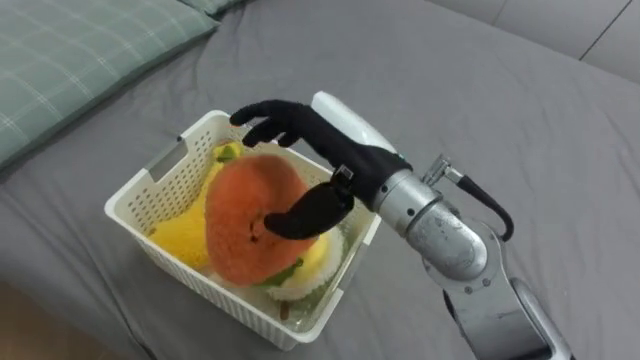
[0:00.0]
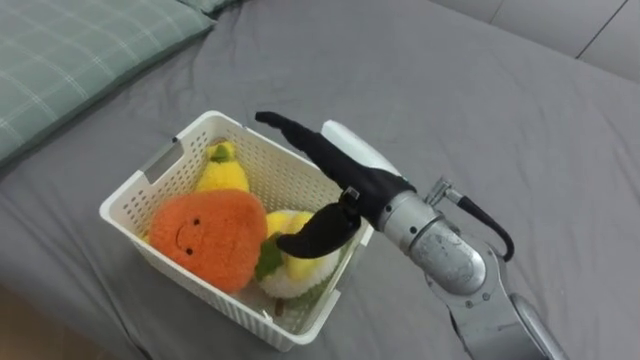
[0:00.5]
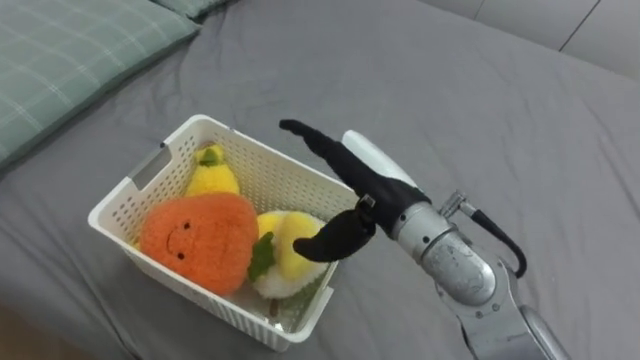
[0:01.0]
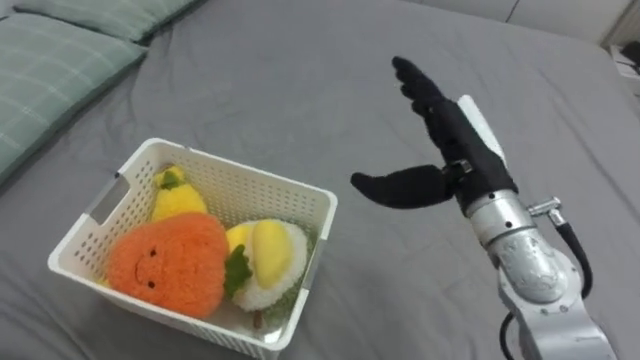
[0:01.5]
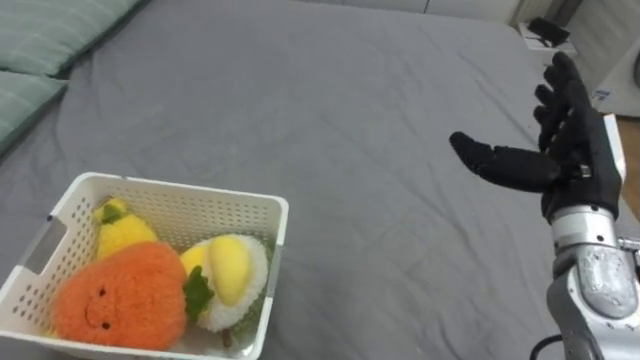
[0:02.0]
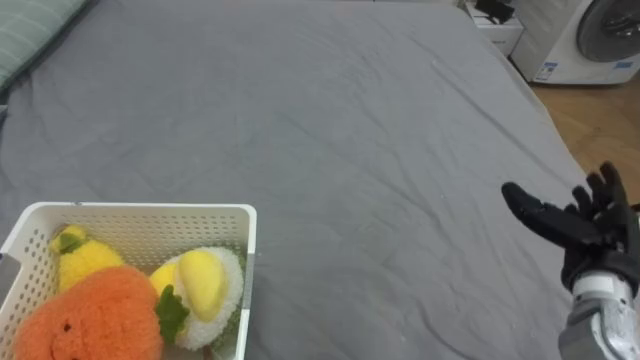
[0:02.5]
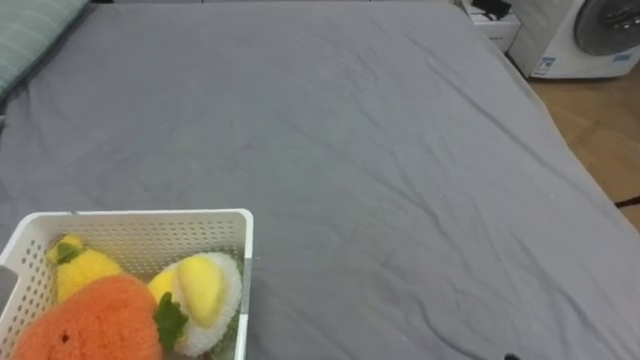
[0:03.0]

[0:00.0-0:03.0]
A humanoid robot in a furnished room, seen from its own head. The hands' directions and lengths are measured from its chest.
Task of the whole recording: Put the toys on the bed into the basket on the left.
0:00.0 to 0:01.5: The right hand shifts roughly 10 cm to the right.

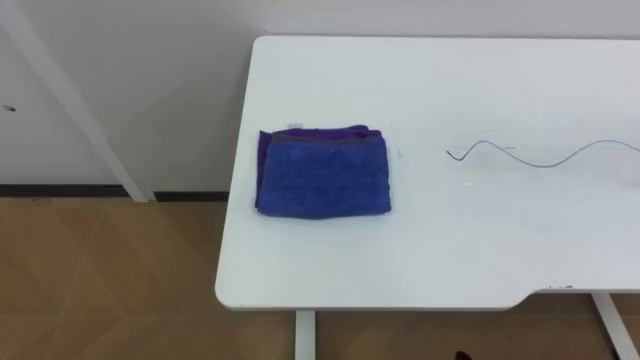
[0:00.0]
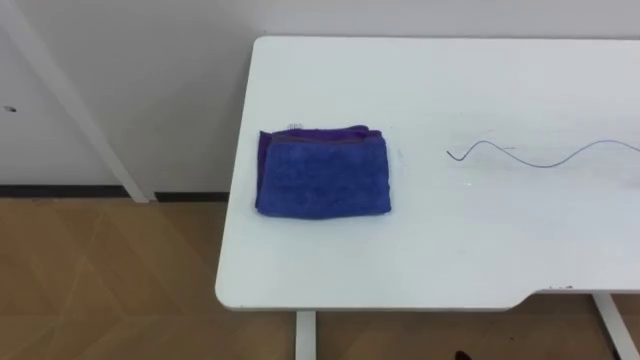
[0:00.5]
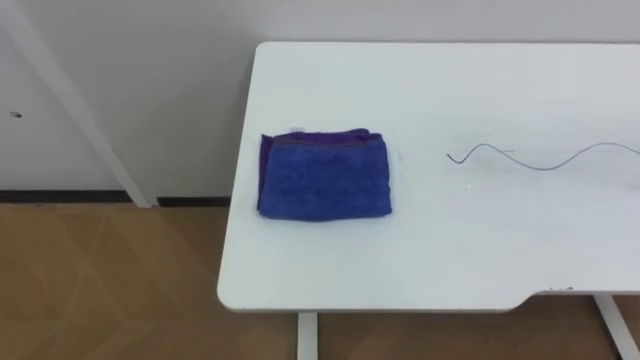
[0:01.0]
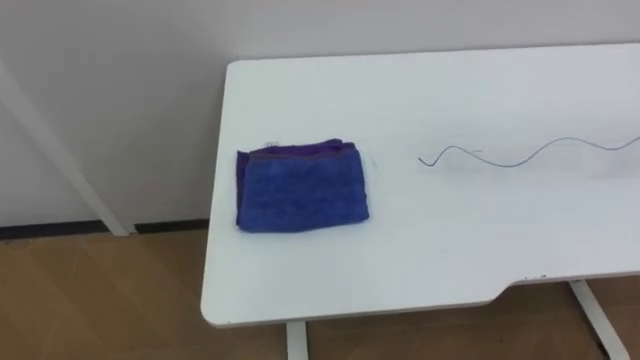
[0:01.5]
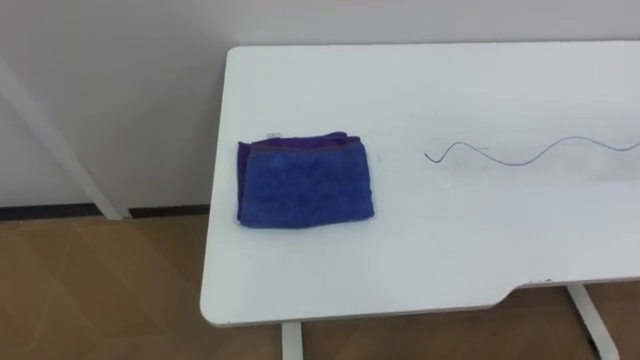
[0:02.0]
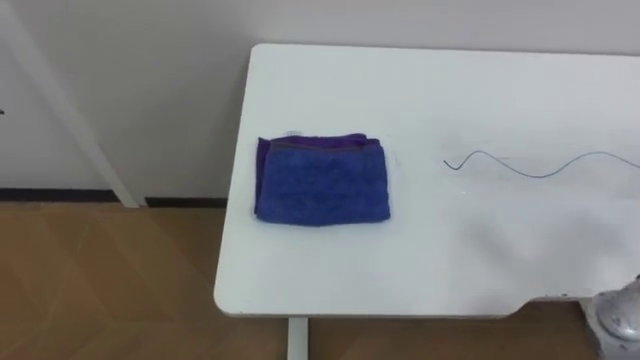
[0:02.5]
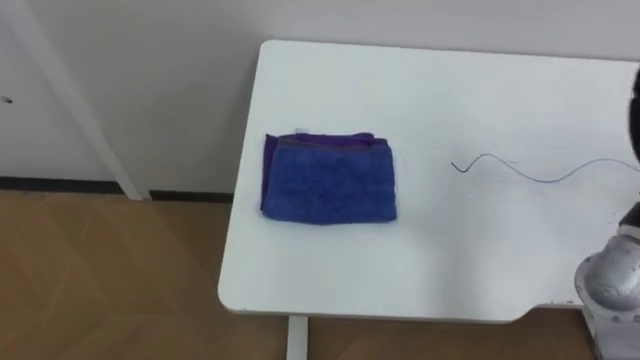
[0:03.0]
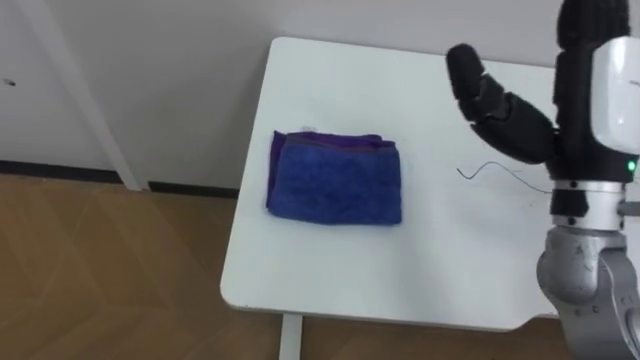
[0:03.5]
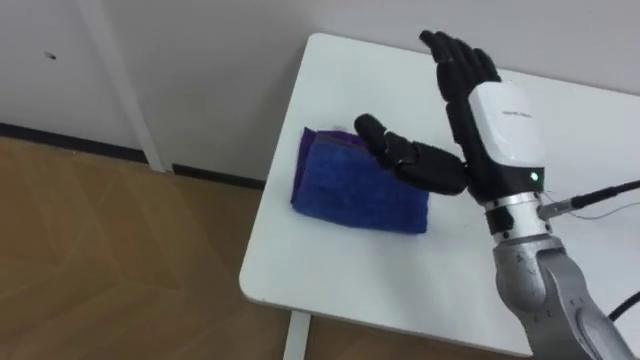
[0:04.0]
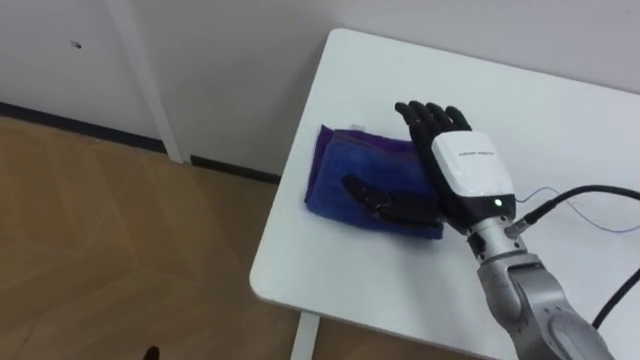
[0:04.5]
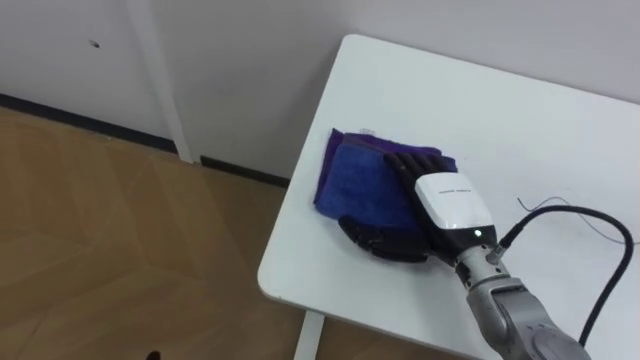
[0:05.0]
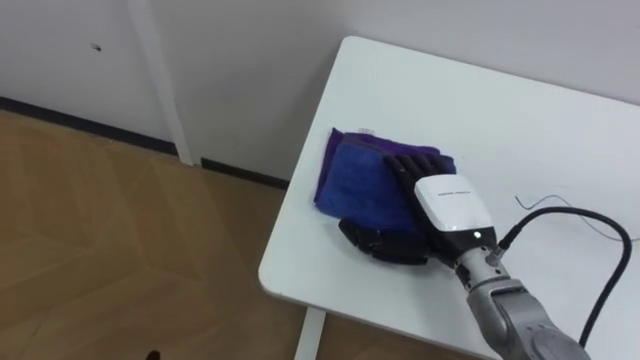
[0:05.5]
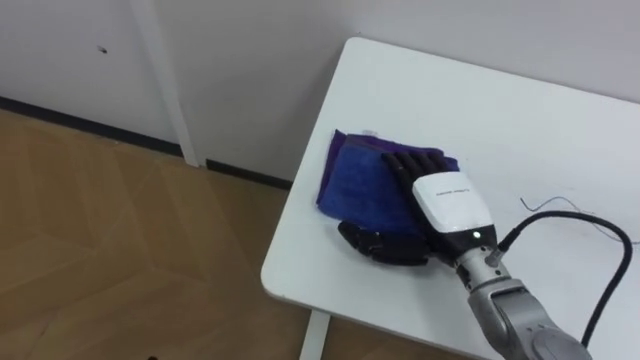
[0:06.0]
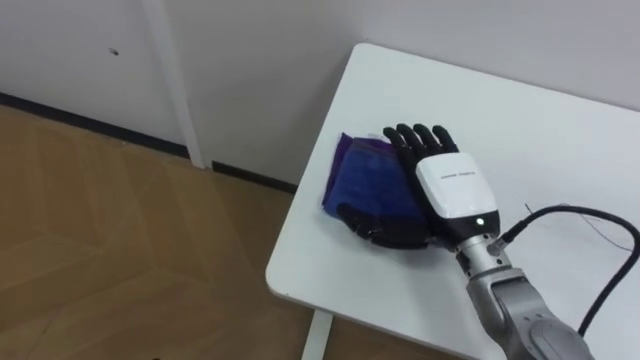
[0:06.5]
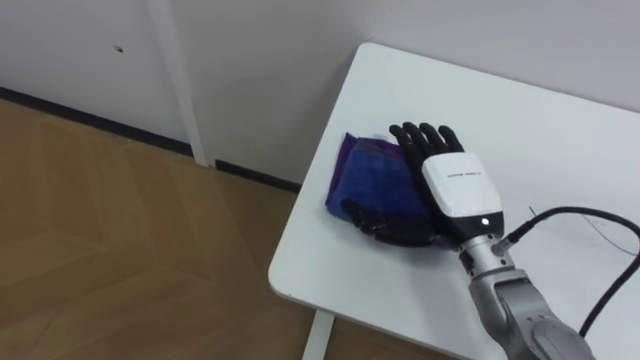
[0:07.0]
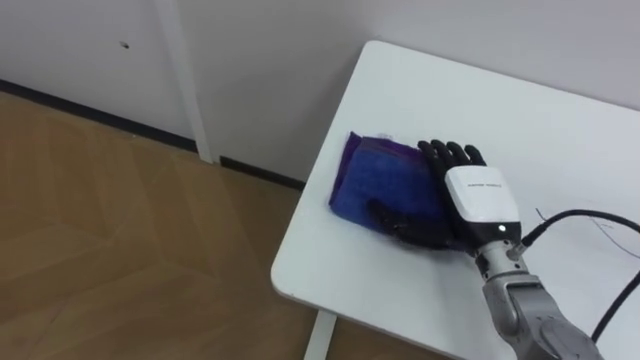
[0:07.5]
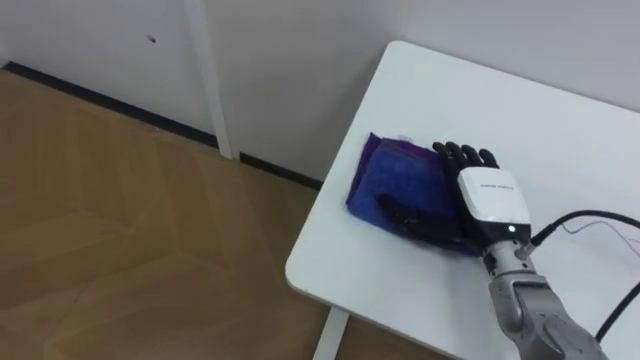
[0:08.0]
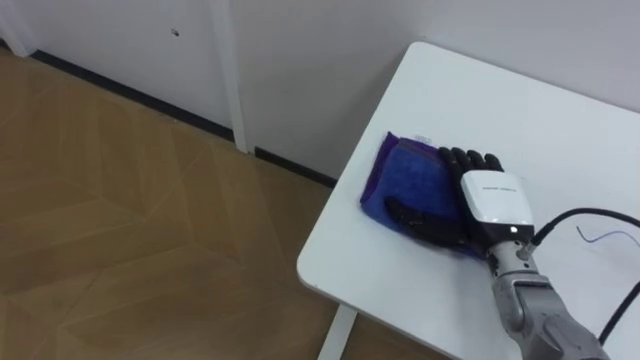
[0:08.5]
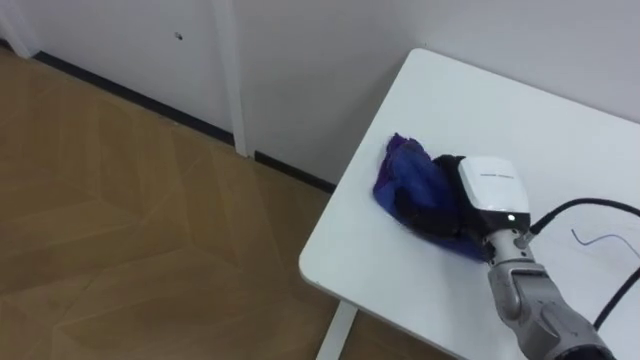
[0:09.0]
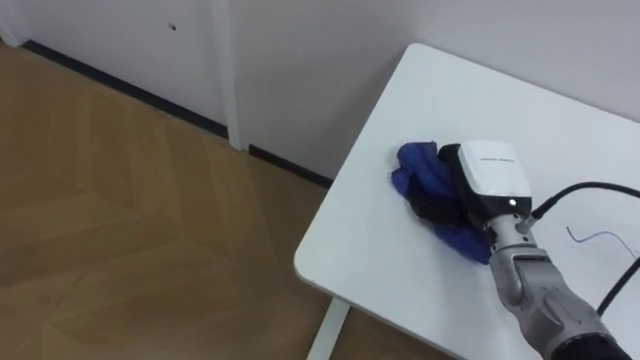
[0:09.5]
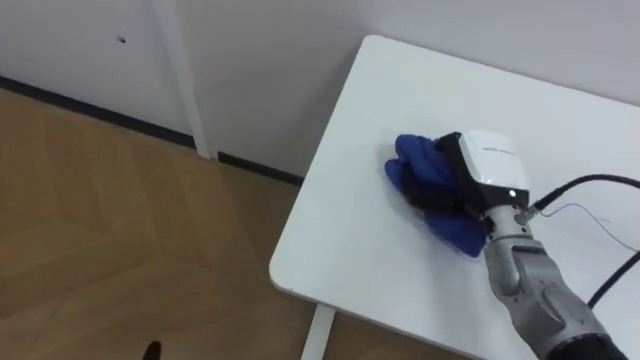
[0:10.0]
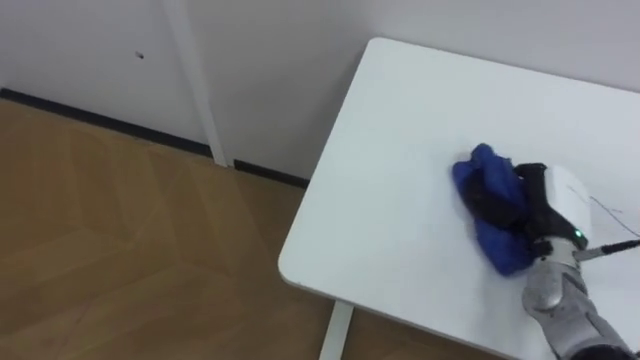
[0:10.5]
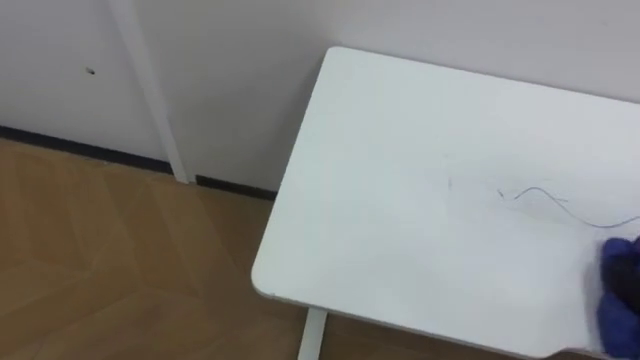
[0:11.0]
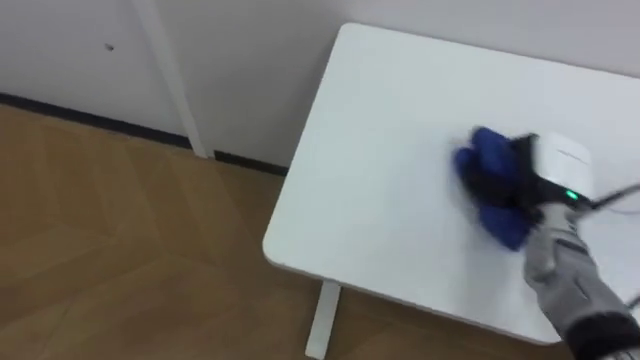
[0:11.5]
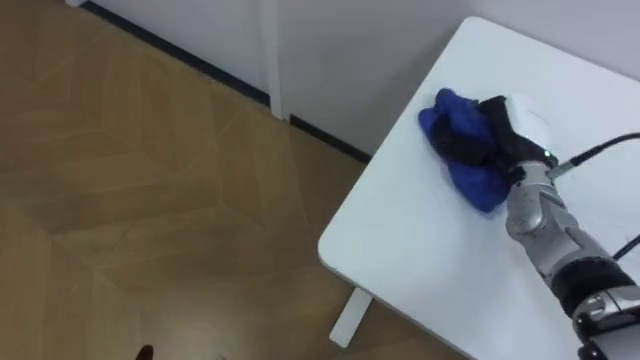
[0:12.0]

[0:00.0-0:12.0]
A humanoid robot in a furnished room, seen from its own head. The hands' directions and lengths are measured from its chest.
Task of the whole recording: Wipe the blue pen marks off the table with the rag.
0:04.0 to 0:06.0: The right hand moves downward, approximately 15 cm.
0:06.0 to 0:08.0: The right hand heads to the right, covering roughly 5 cm.
0:08.0 to 0:10.0: The right hand closes.

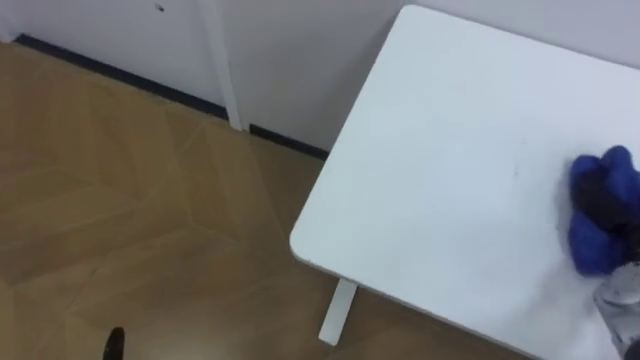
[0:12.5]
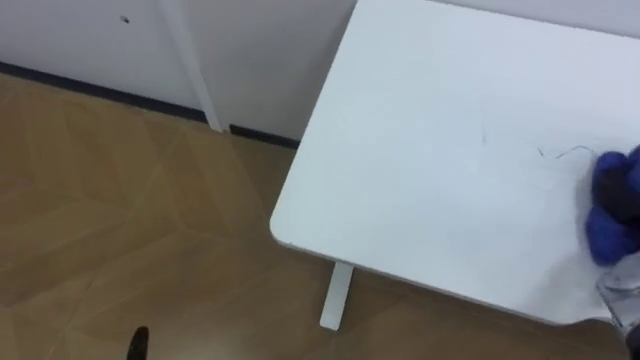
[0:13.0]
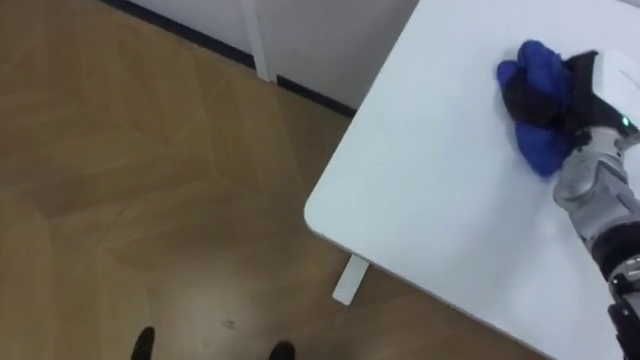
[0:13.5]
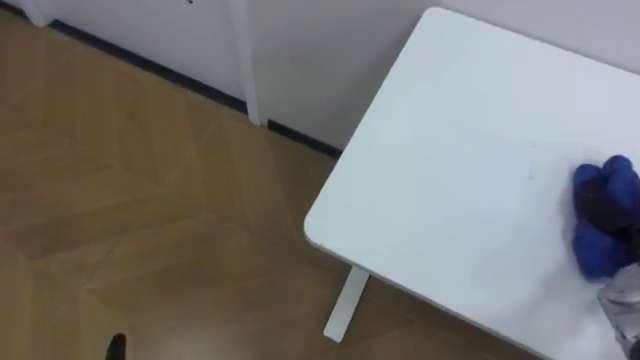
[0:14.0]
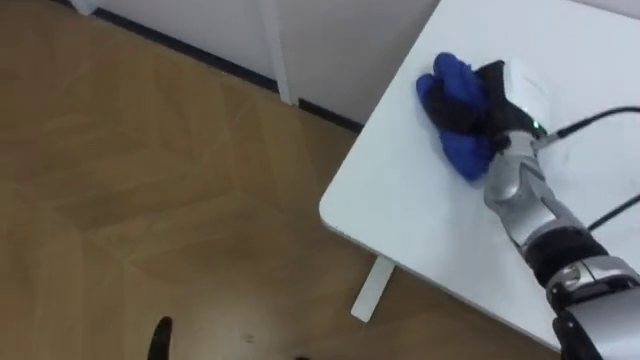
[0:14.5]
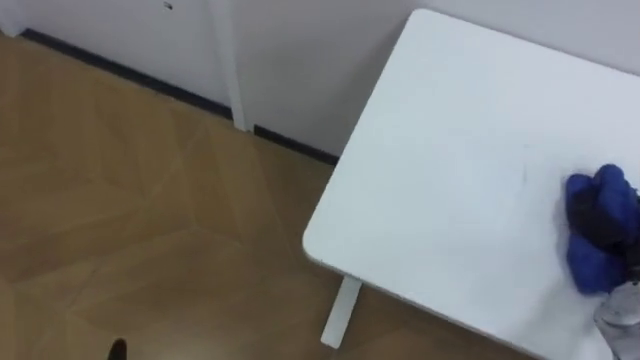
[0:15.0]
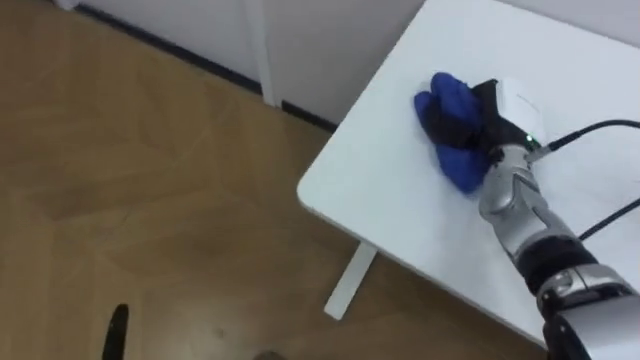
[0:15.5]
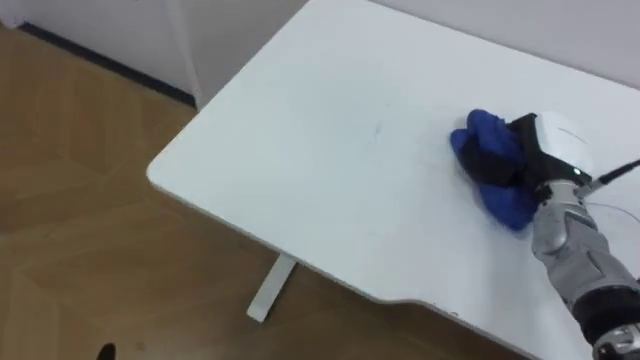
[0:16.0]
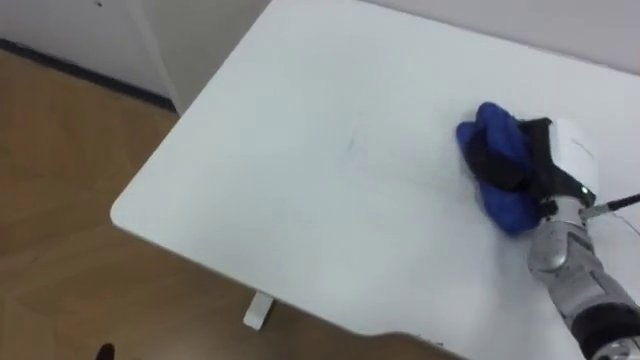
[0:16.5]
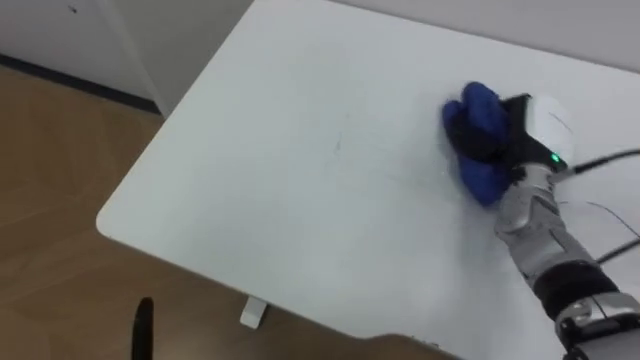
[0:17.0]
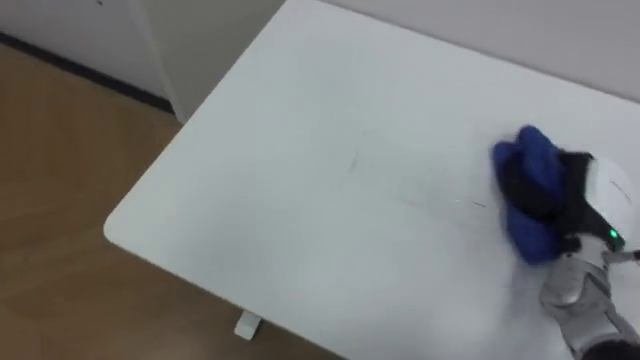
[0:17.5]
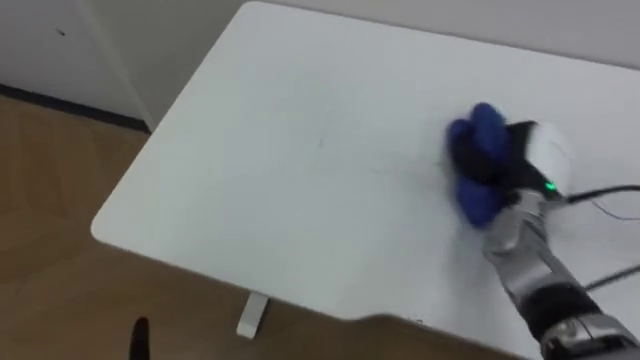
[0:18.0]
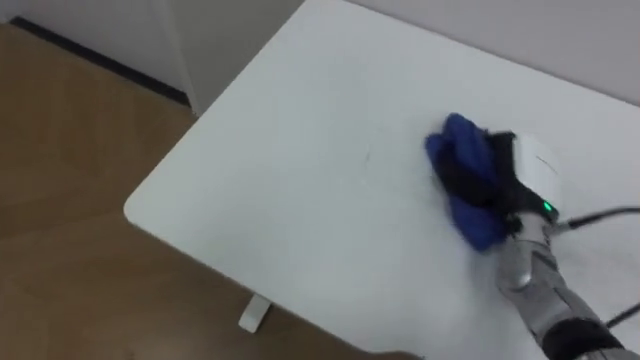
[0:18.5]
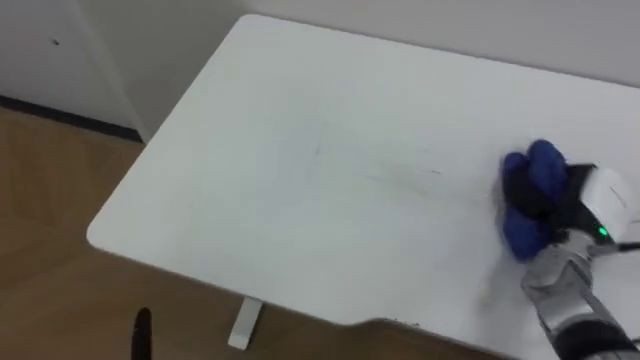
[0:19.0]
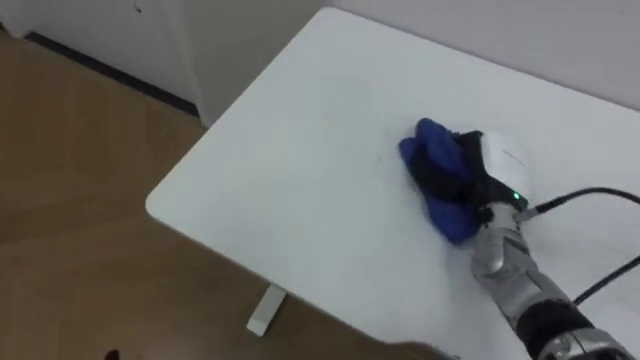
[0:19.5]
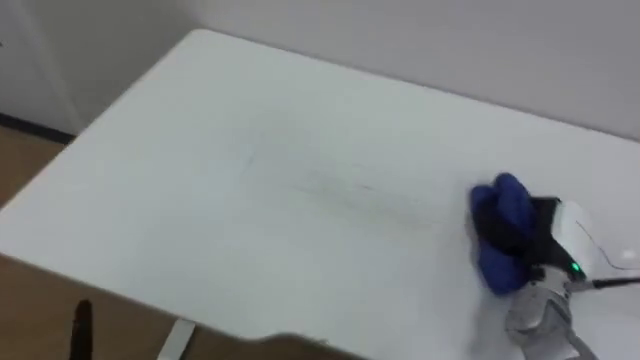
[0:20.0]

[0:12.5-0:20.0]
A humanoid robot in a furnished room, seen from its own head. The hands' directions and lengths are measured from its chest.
Task of the whole recording: Wipe the blue pen marks off the table with the rag.
0:18.0 to 0:20.0: The right hand swings left and right, roughly 10 cm each way, with 2 reversals.
